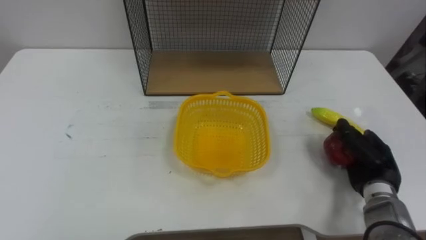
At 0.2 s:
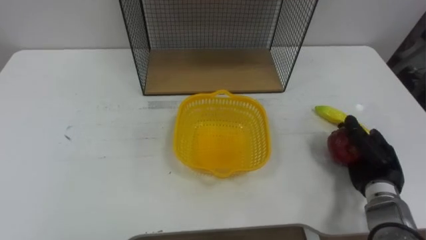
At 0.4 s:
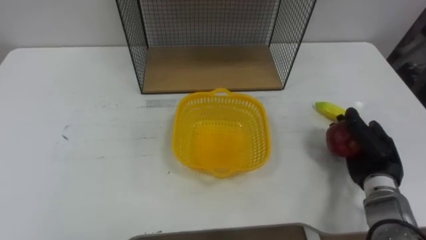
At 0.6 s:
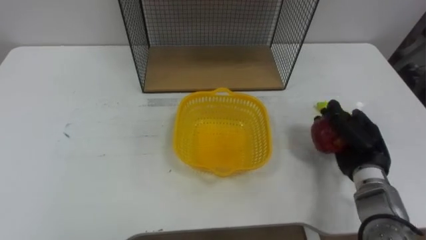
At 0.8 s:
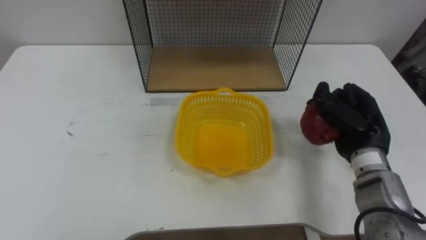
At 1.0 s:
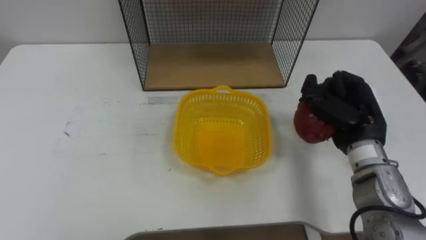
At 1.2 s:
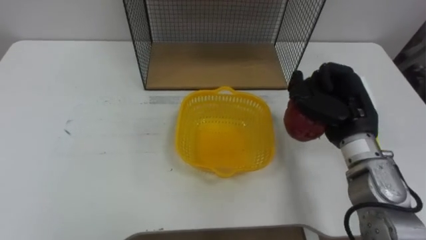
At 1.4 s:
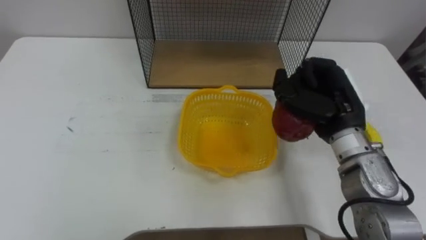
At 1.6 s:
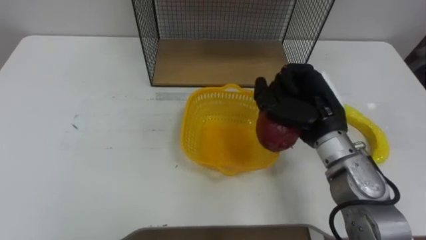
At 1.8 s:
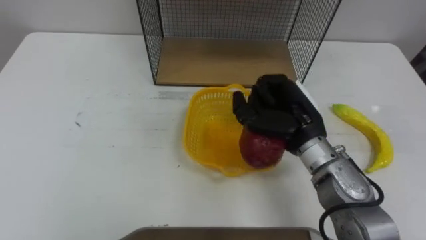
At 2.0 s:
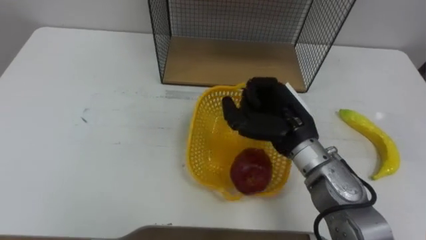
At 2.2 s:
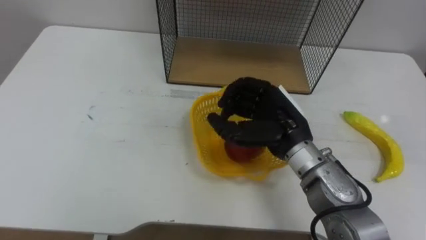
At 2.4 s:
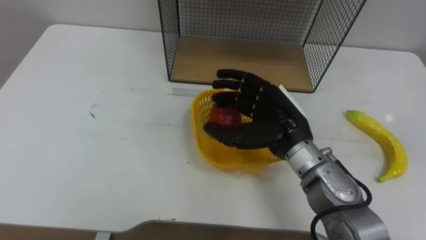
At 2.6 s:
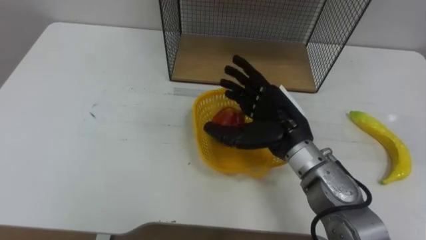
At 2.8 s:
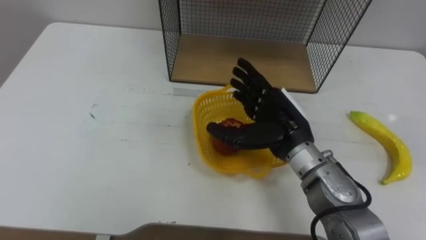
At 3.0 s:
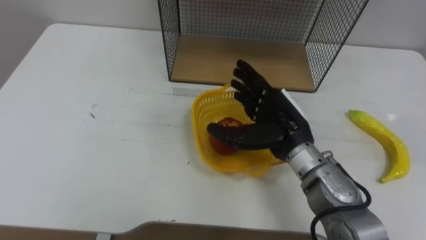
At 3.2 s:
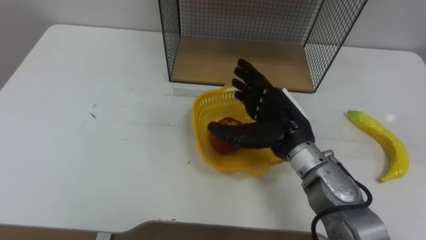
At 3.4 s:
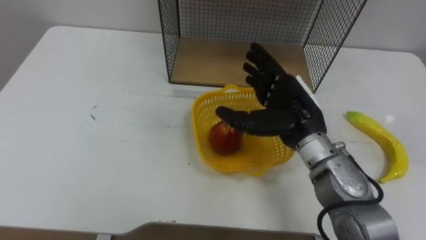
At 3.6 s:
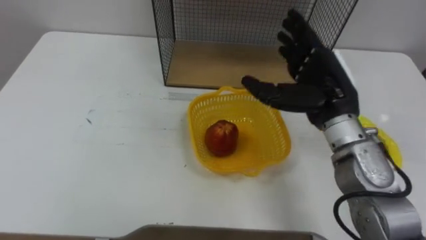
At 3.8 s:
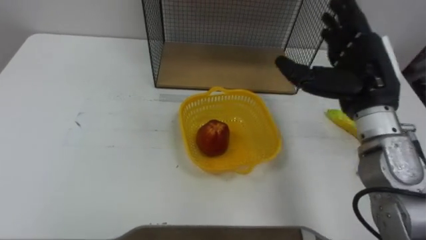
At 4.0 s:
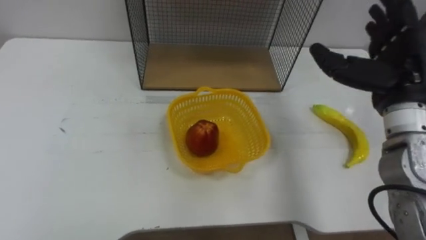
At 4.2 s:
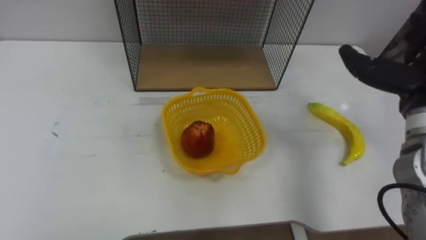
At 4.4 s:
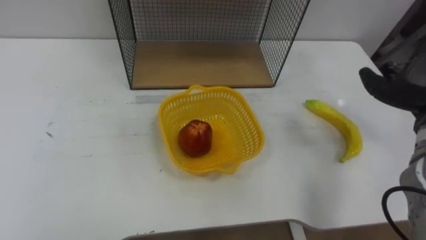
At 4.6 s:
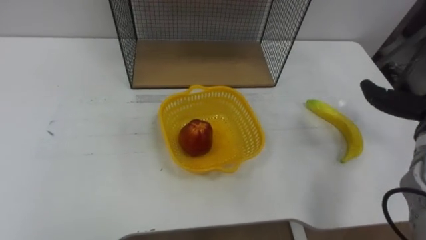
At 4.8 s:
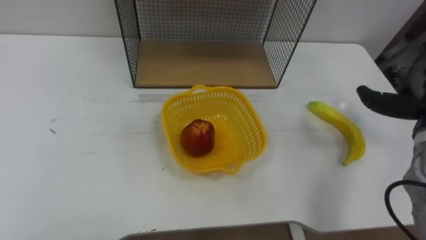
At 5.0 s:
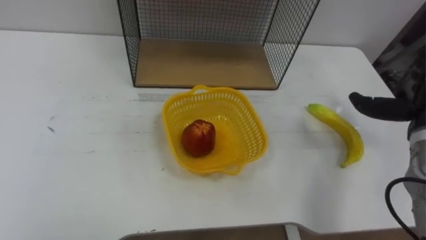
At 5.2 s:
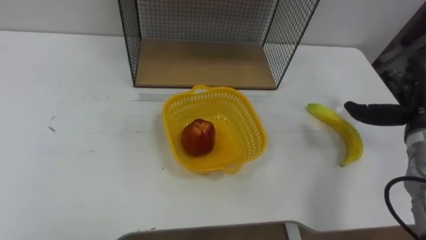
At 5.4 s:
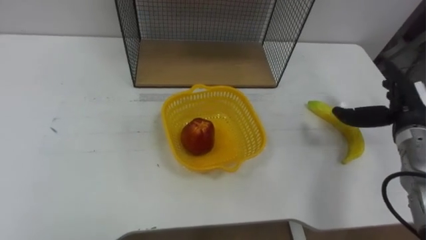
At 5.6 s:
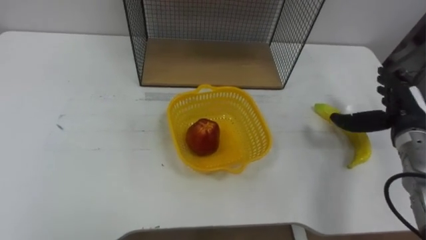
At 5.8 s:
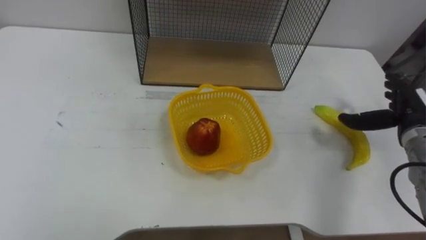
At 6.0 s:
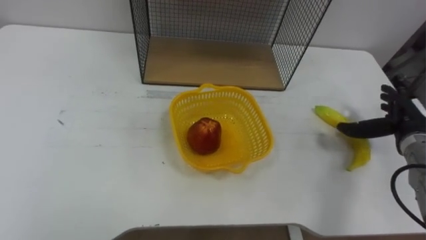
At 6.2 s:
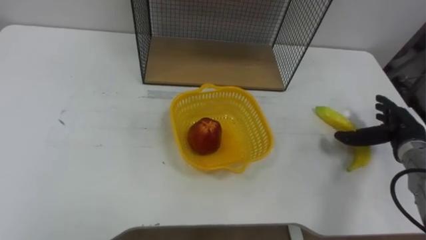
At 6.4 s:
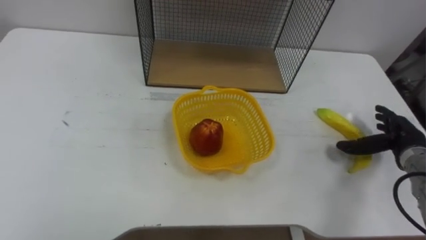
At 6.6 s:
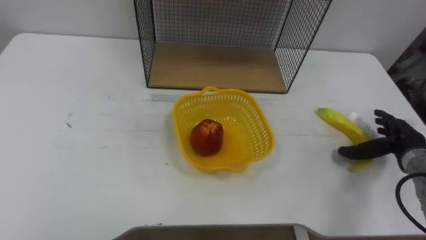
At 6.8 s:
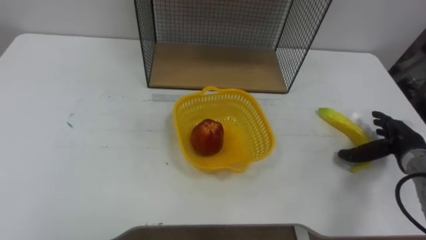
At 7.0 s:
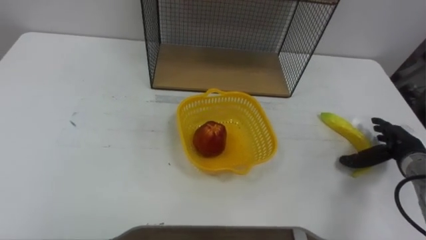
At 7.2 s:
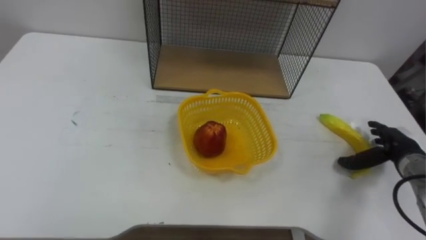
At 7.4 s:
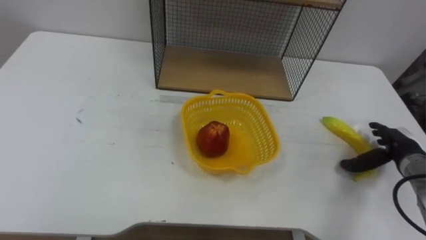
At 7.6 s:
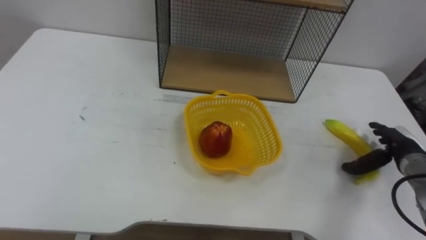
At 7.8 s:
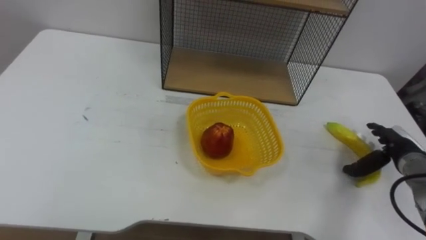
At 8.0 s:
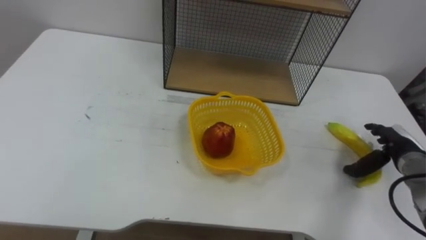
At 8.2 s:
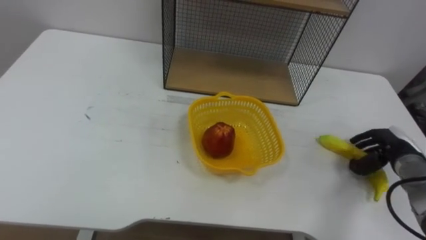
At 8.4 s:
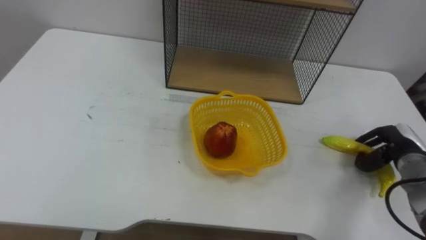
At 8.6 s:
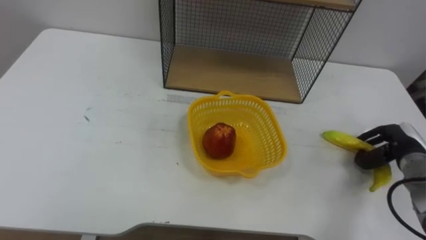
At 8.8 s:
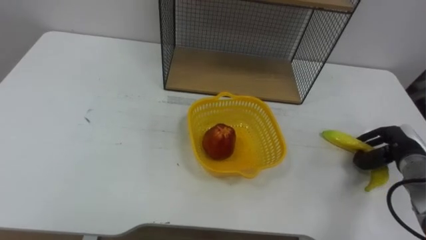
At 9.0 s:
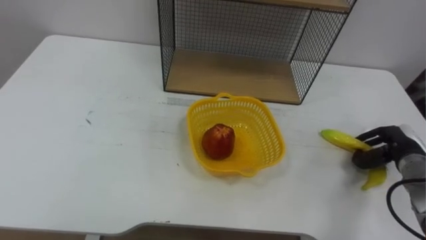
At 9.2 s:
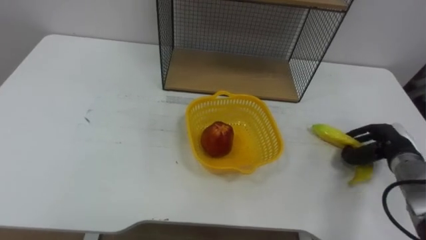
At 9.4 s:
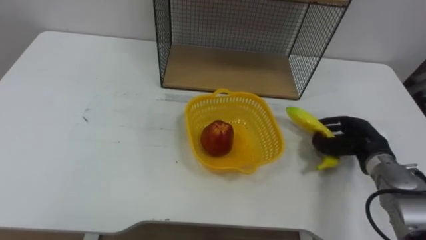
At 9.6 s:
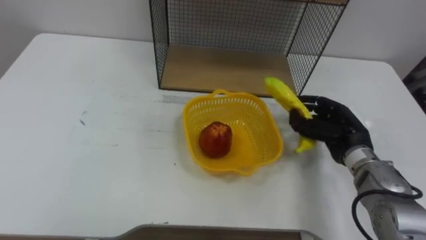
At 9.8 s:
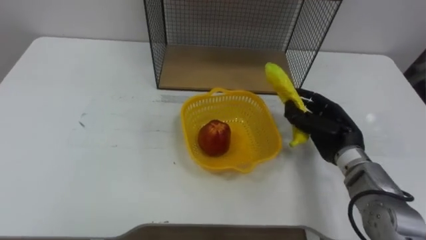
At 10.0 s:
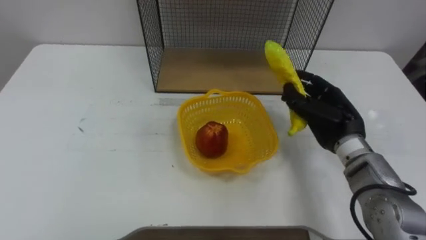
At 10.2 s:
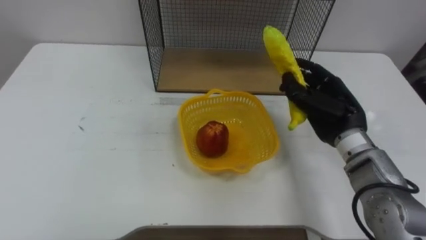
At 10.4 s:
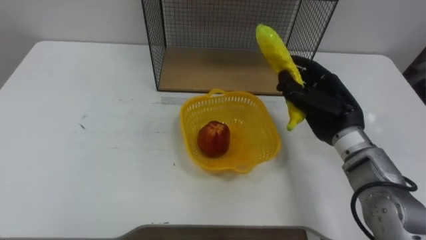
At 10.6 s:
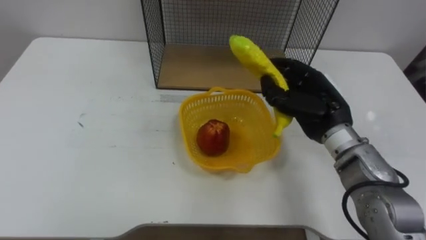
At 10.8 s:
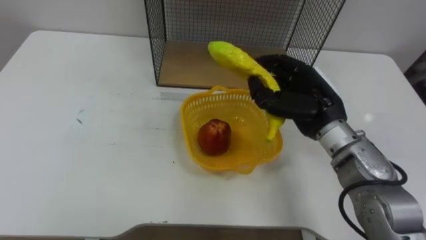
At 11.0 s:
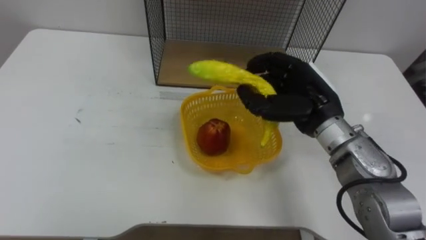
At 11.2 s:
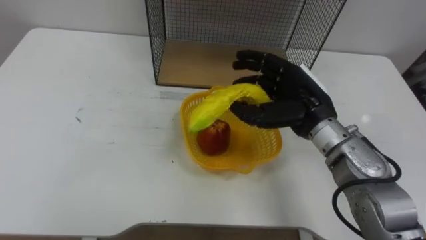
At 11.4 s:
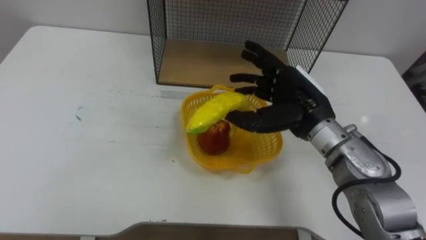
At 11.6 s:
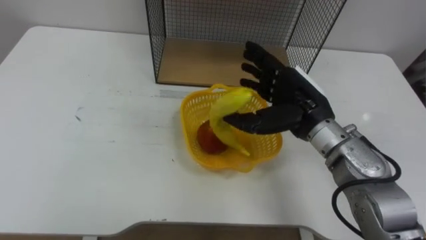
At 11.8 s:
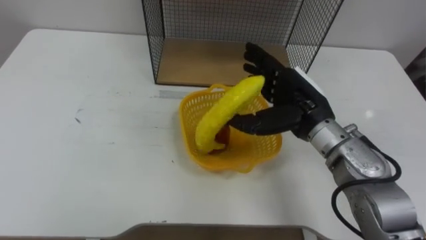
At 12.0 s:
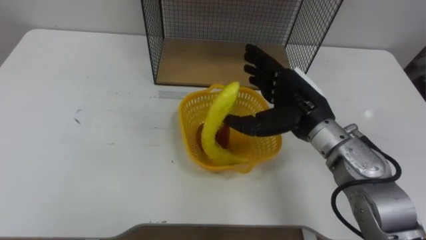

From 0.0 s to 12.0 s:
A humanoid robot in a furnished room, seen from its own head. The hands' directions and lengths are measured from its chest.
Task of the whole recording: Put the fruit on the table into the basket, then place the basket on the shelf.
From 0.0 s to 1.6 s: The right hand is displaced upward and to the left by about 20 cm.
From 1.6 s to 3.0 s: The right hand is displaced to the left by about 5 cm, and opens its fingers.
From 6.0 s to 7.6 s: The right hand goes approximately 5 cm downward.
From 7.6 s to 9.0 s: The right hand closes.
From 9.0 s to 10.4 s: The right hand goes some 20 cm to the left and upward.
From 10.4 s to 12.0 s: The right hand is displaced to the left by about 5 cm, and opens its fingers.

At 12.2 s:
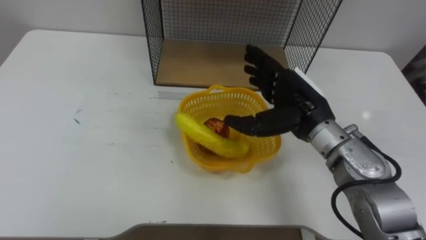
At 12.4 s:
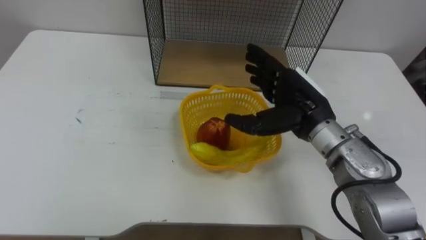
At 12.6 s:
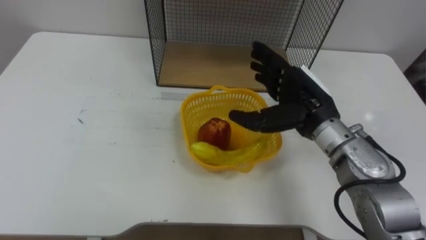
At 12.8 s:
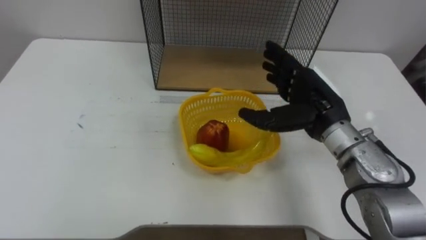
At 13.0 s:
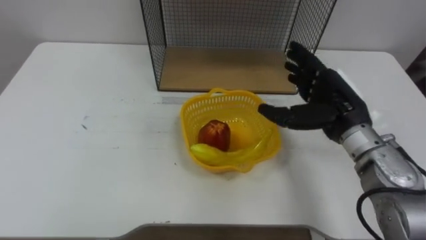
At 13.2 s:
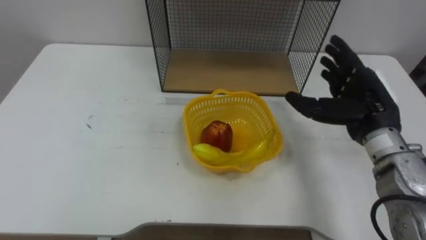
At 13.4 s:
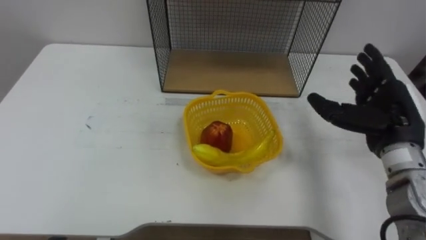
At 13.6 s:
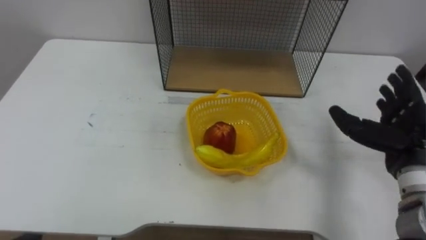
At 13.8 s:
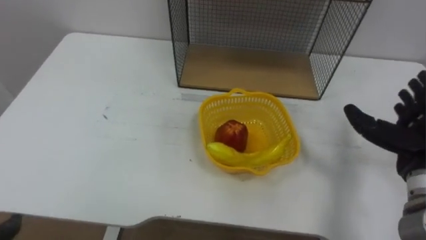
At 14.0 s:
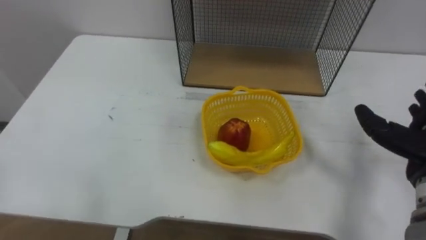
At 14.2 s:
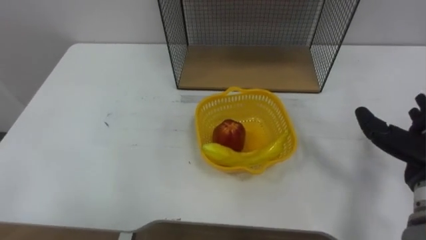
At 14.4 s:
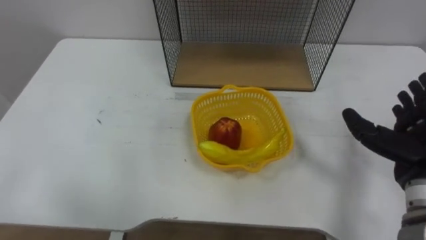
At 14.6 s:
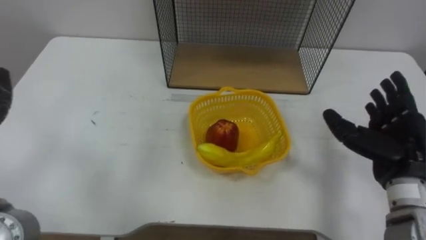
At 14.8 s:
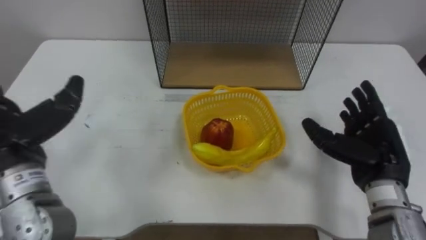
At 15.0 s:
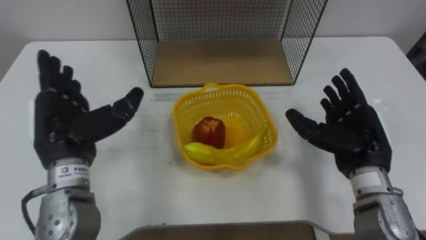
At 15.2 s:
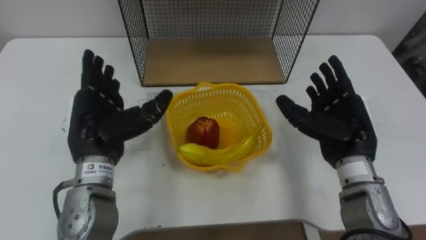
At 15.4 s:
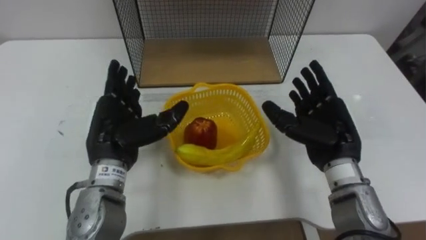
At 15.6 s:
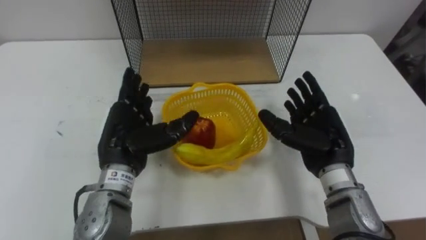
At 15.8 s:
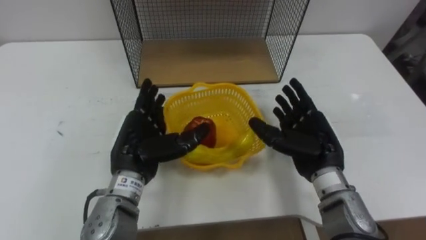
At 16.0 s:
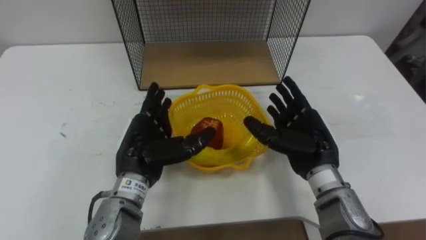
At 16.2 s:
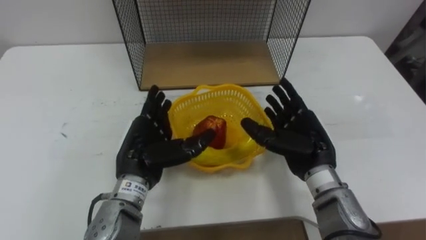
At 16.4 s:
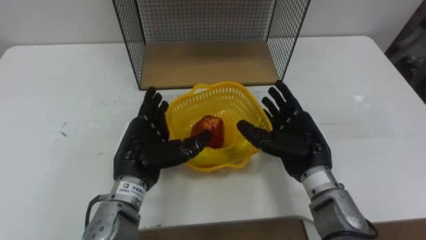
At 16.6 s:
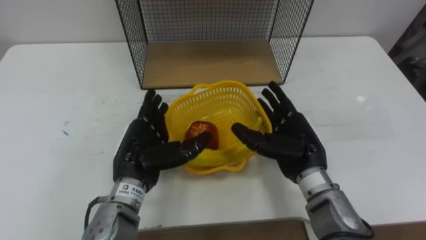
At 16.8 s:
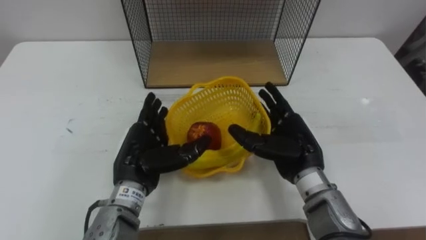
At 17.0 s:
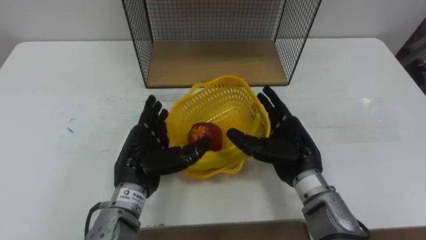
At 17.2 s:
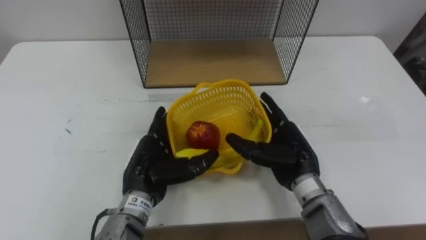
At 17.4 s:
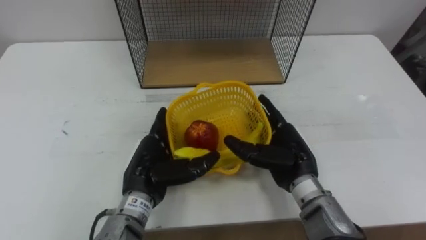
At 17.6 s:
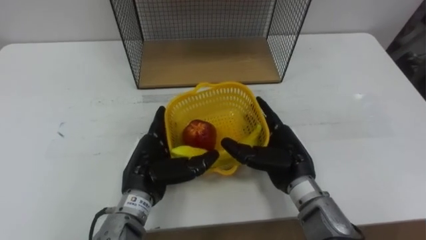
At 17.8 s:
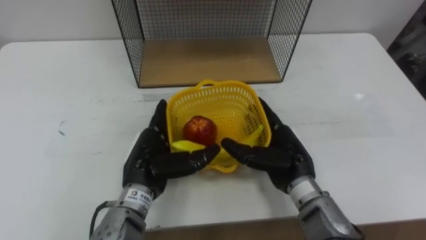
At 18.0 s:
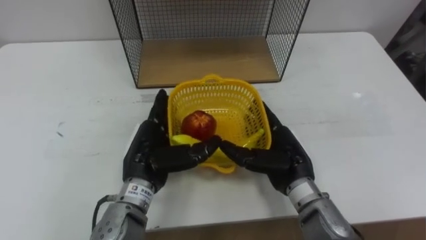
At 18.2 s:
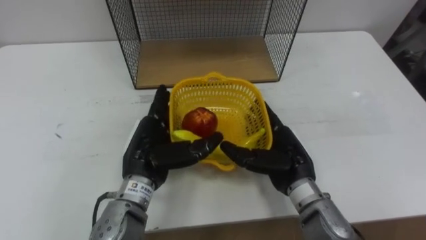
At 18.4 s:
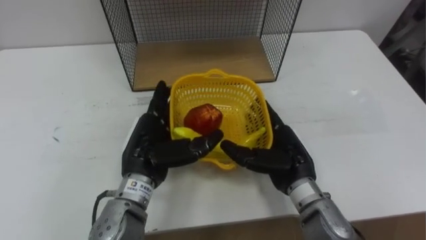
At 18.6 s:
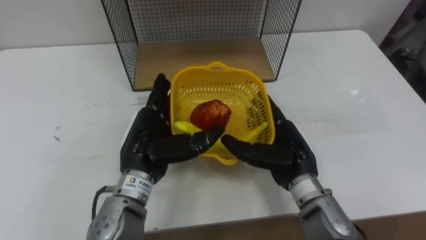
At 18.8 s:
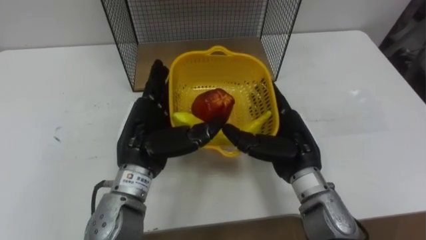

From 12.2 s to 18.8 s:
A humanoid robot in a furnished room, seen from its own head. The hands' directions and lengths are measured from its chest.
Task of the whole recording: Put the fruit on the table into the basket, then place the basket on the shelf.
From 12.2 s to 13.8 s: The right hand moves to the right and backward, about 20 cm.
From 15.4 s to 17.2 s: The right hand moves to the left and downward, about 10 cm, while the left hand is displaced downward and to the right by some 10 cm.
From 17.2 s to 18.8 s: The left hand travels upward by approximately 5 cm.
